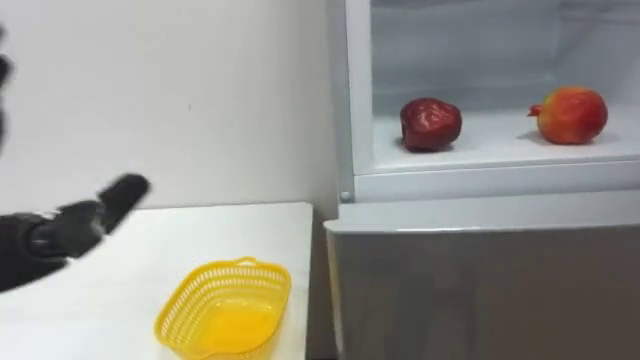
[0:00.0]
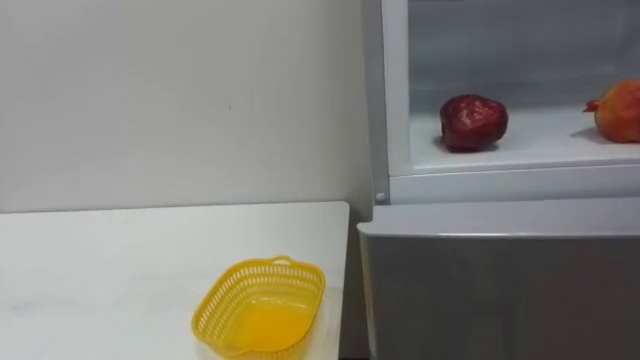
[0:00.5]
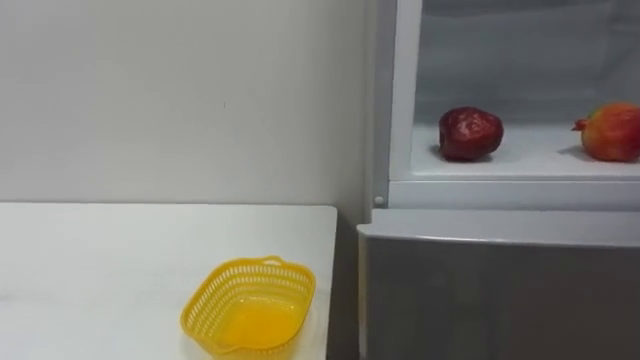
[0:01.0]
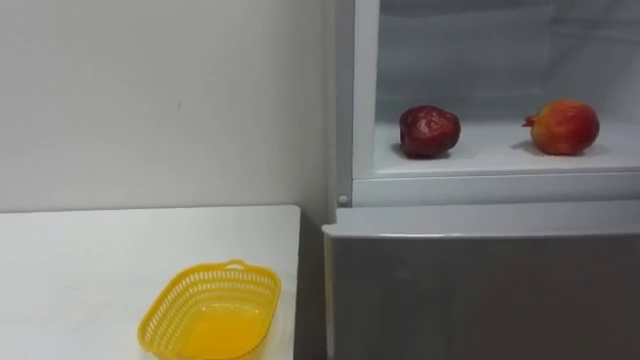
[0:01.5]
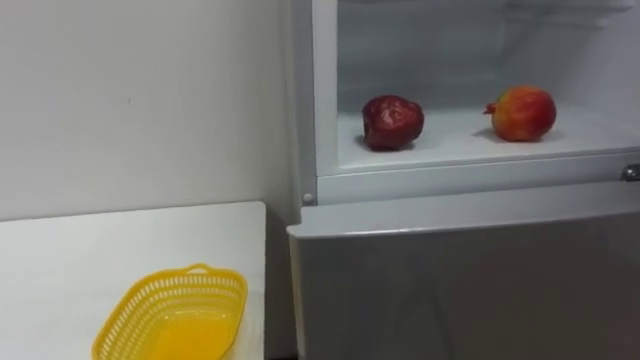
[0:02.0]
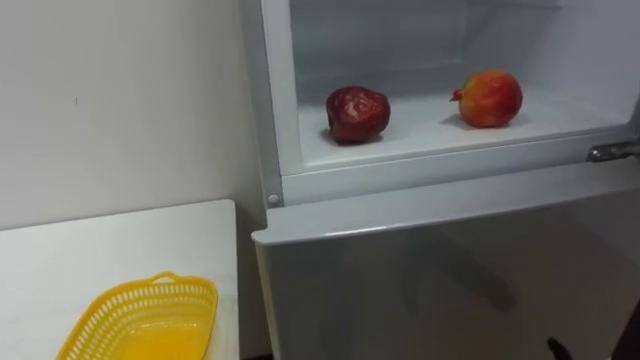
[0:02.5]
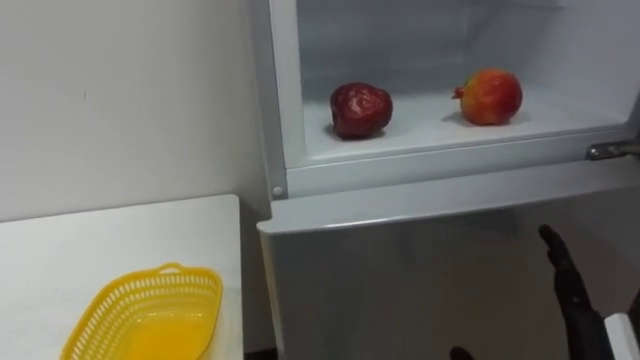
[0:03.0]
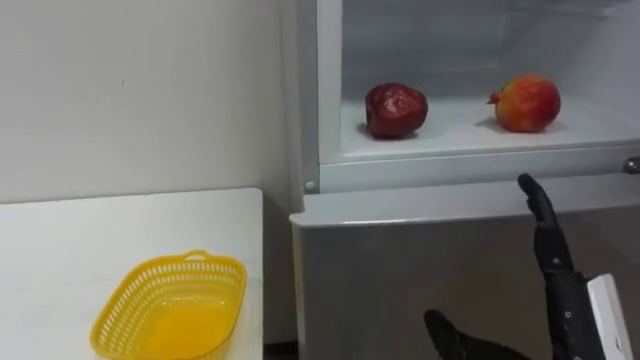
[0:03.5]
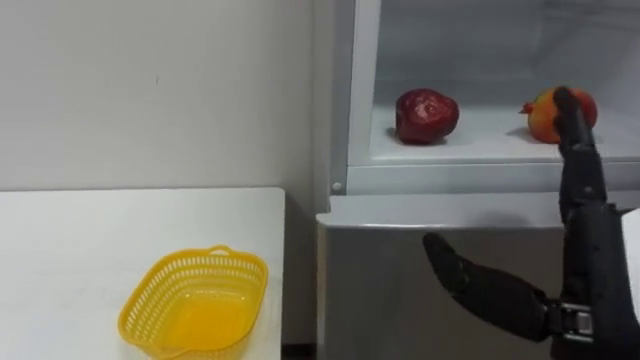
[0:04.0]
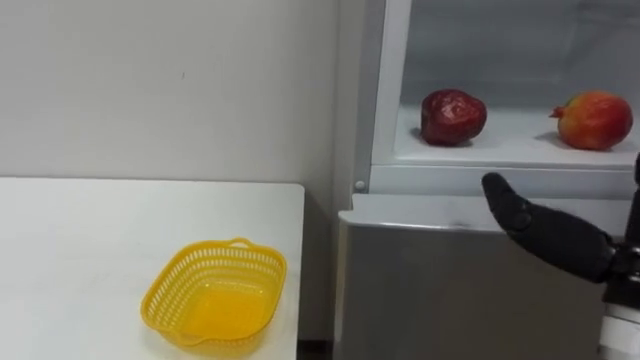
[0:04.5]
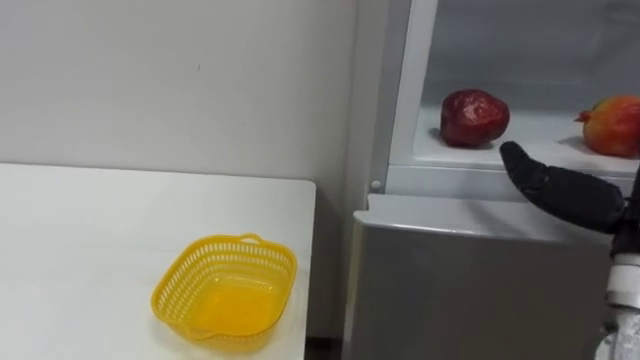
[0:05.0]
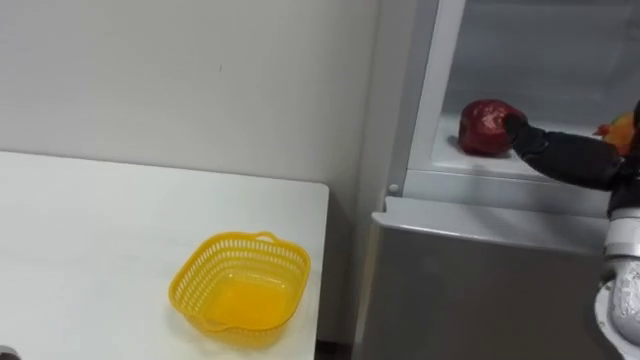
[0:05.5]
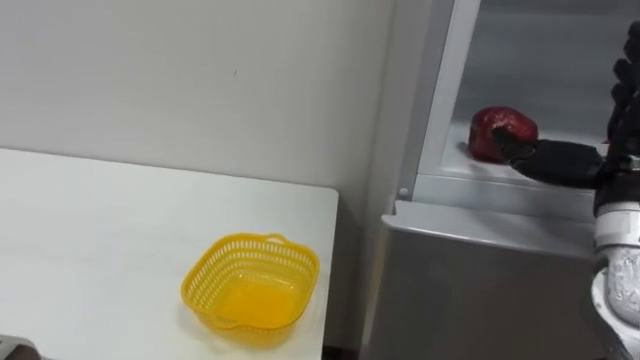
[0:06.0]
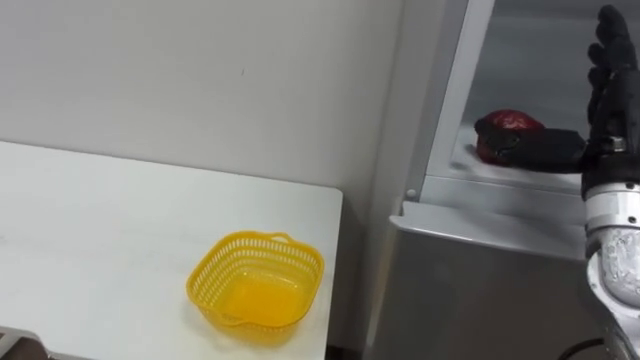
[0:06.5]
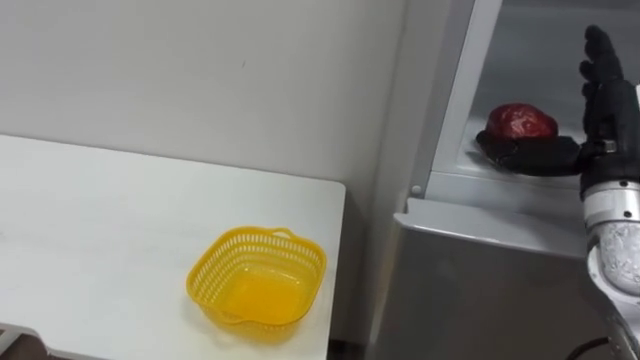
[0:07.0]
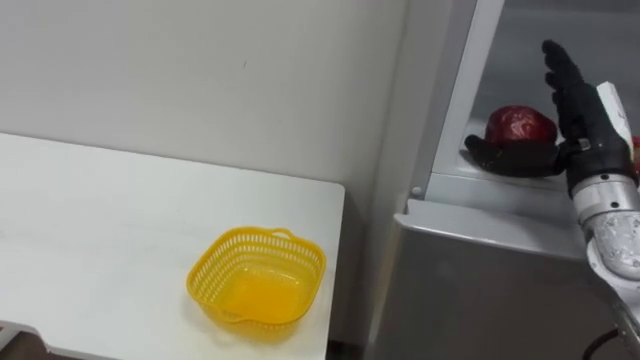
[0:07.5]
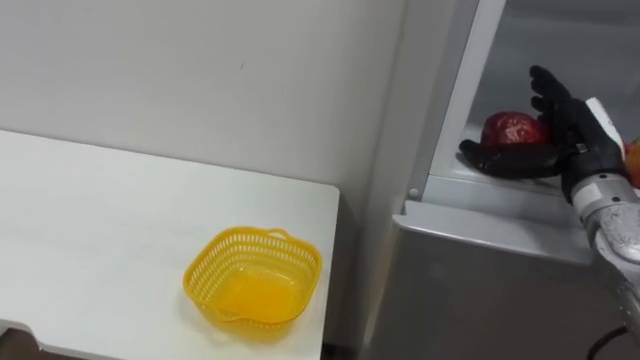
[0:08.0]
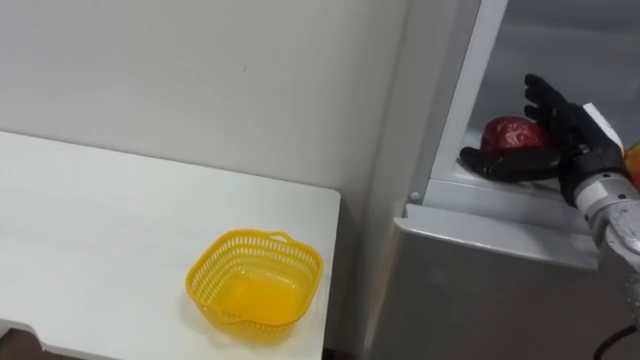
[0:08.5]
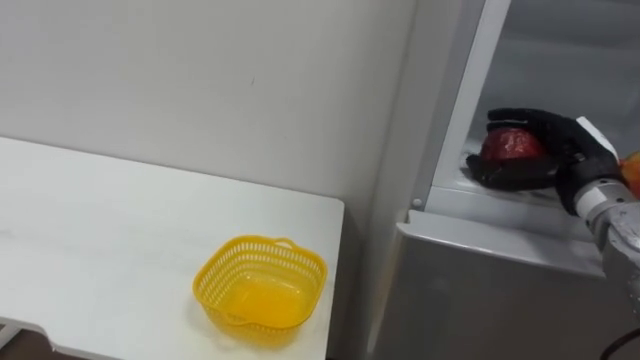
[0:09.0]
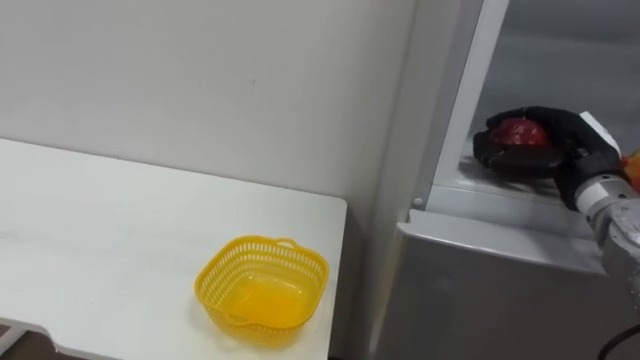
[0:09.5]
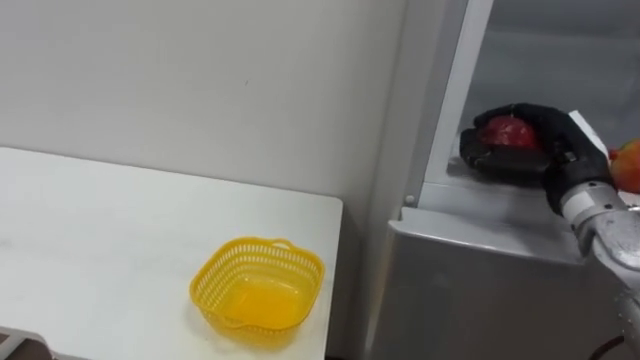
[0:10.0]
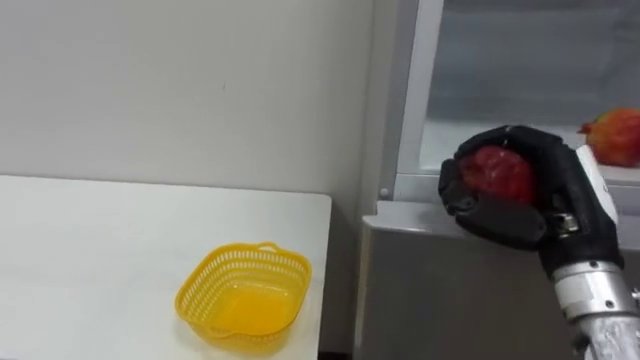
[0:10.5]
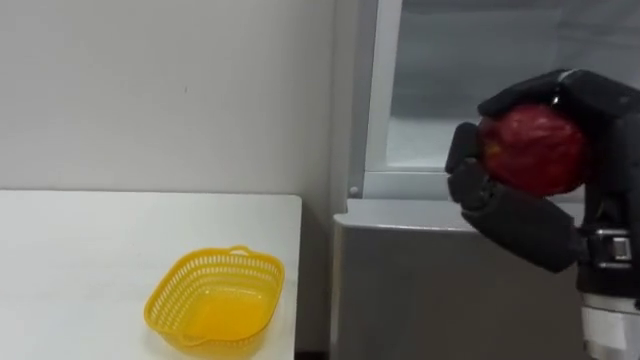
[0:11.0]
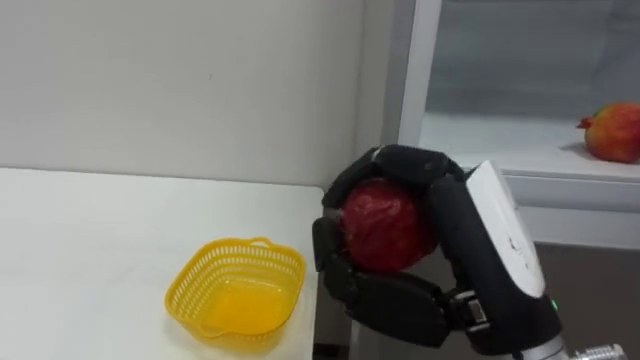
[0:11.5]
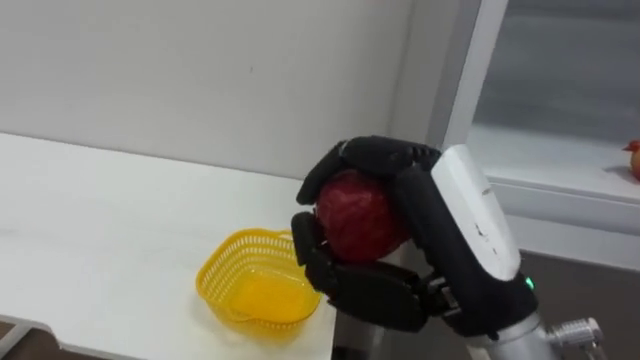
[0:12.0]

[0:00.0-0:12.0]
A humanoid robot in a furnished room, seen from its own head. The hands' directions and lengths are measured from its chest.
Task of the whole recording: Open the refrigerator door, take out the apple and the pomegranate, place them in the fruit basket on the left, and close the refrigerator door.
0:06.0 to 0:08.0: The right hand is displaced forward by some 5 cm.
0:08.0 to 0:10.0: The right hand closes its fingers.
0:10.0 to 0:12.0: The right hand goes some 25 cm backward and to the left.

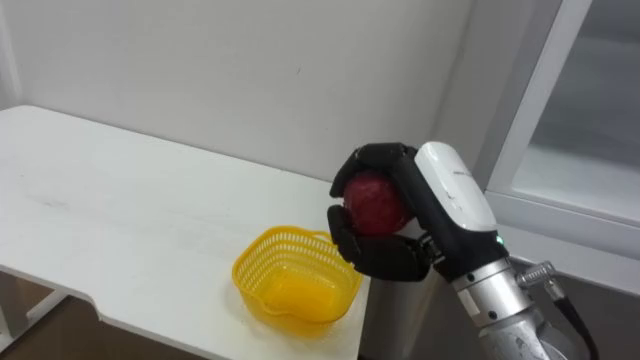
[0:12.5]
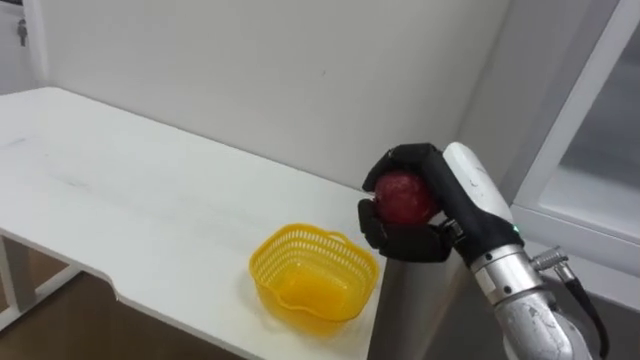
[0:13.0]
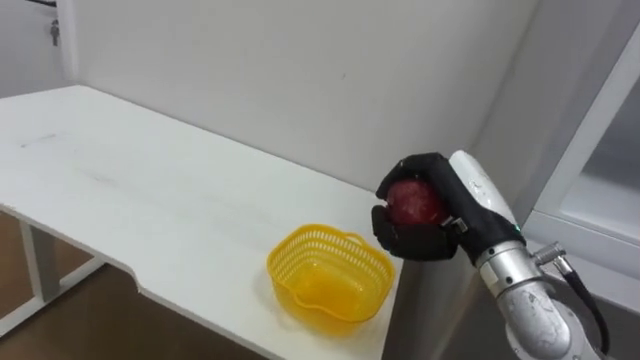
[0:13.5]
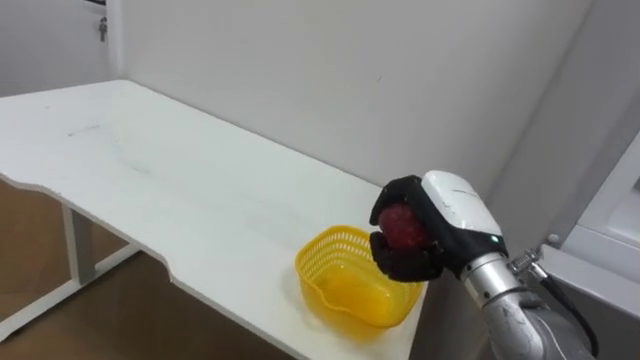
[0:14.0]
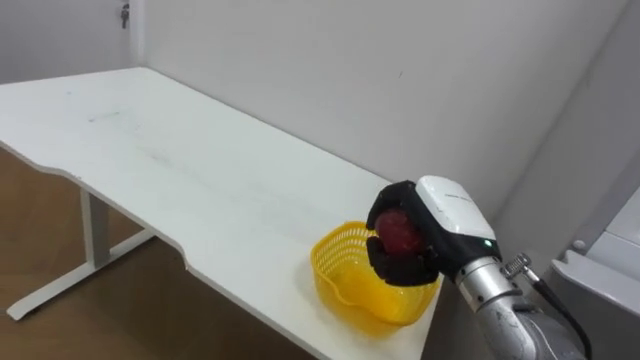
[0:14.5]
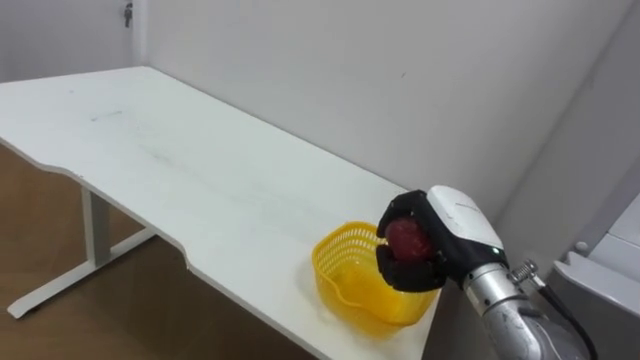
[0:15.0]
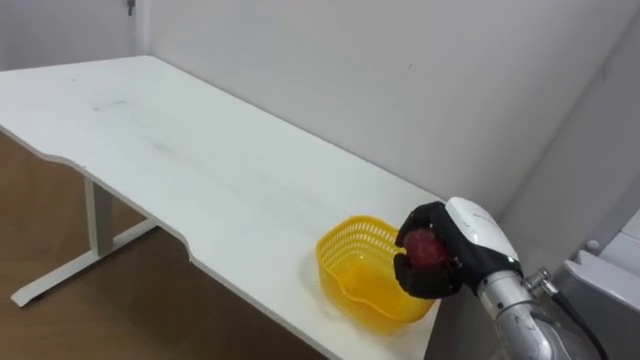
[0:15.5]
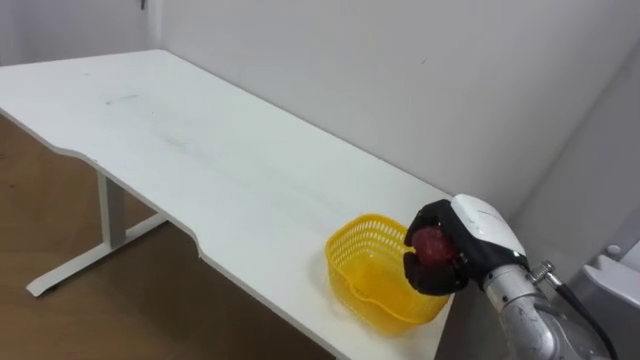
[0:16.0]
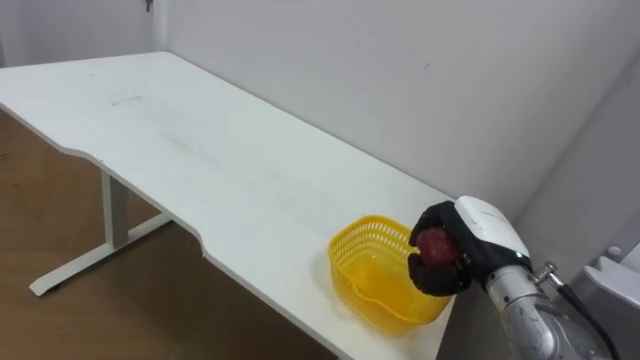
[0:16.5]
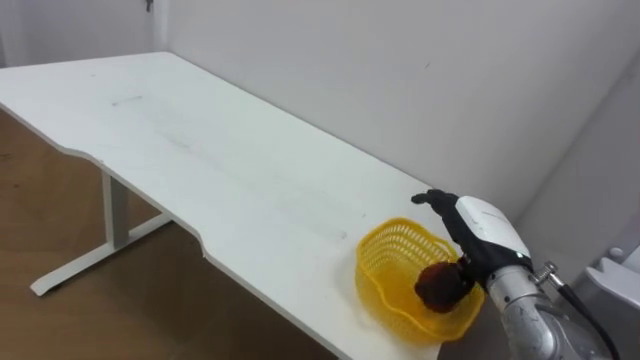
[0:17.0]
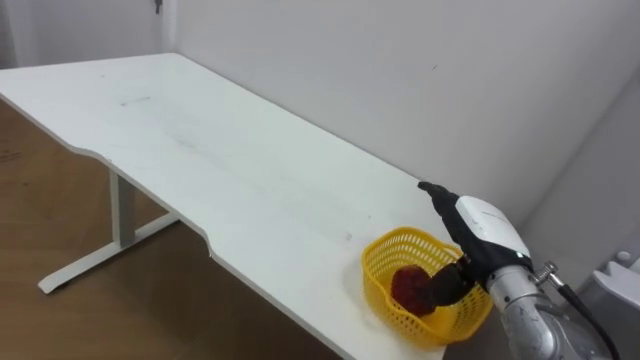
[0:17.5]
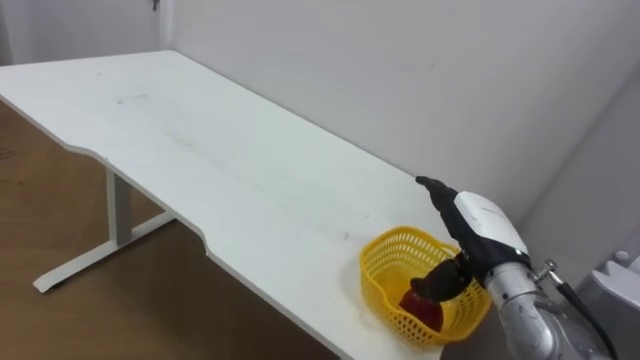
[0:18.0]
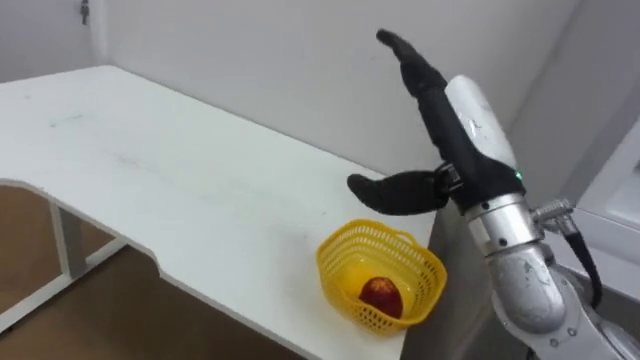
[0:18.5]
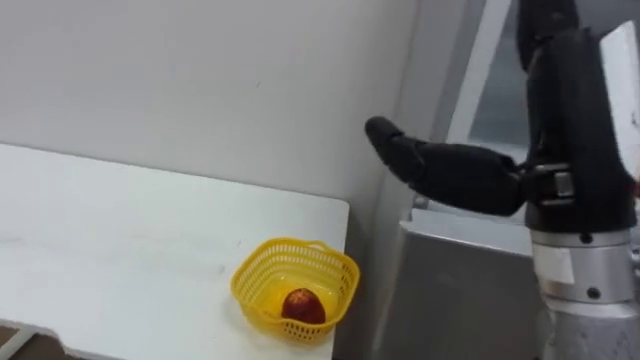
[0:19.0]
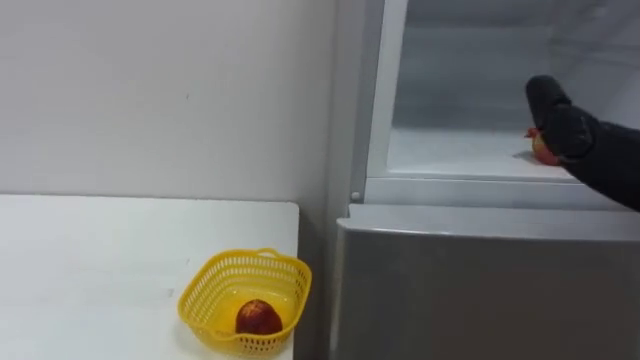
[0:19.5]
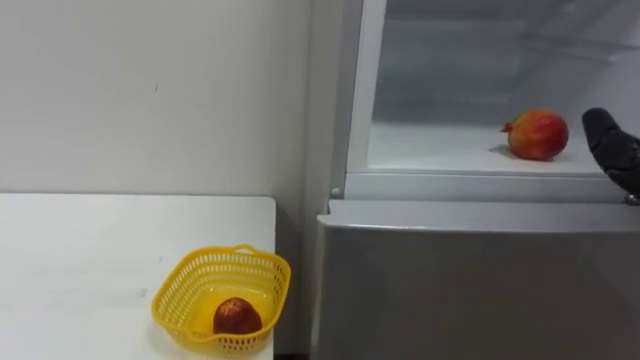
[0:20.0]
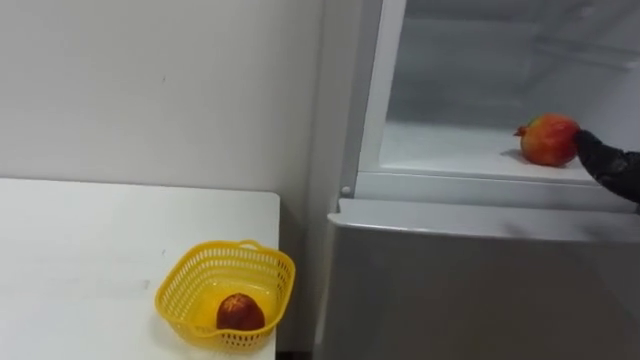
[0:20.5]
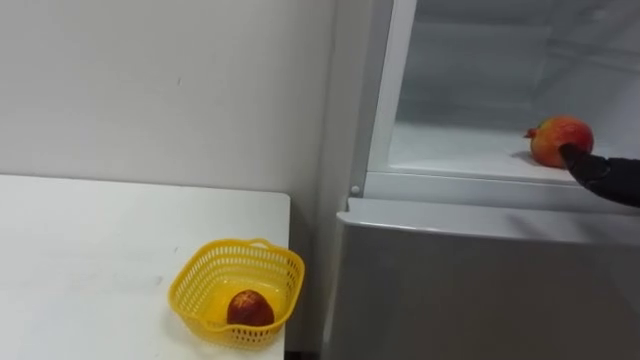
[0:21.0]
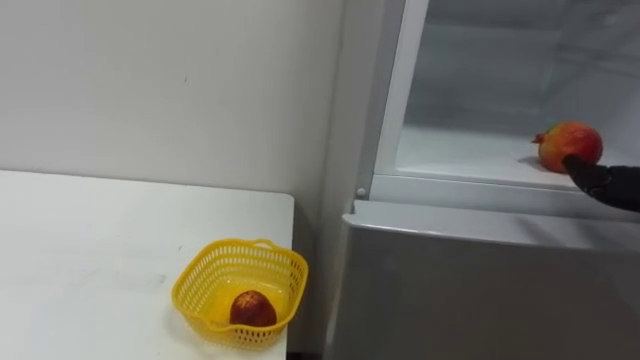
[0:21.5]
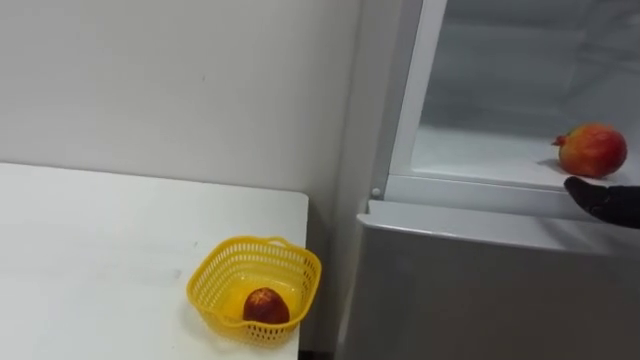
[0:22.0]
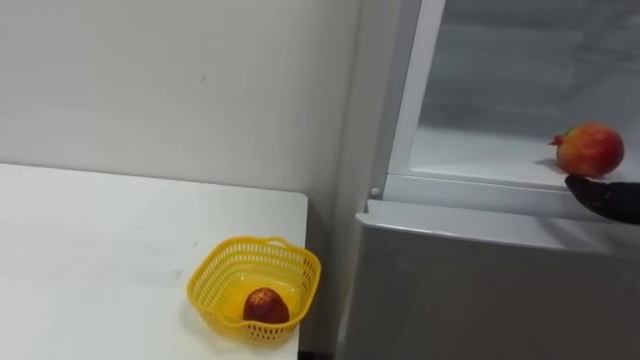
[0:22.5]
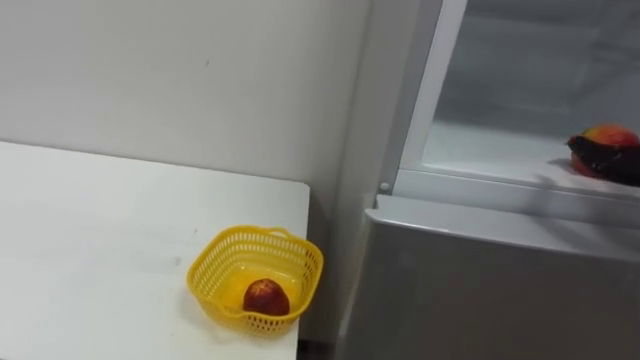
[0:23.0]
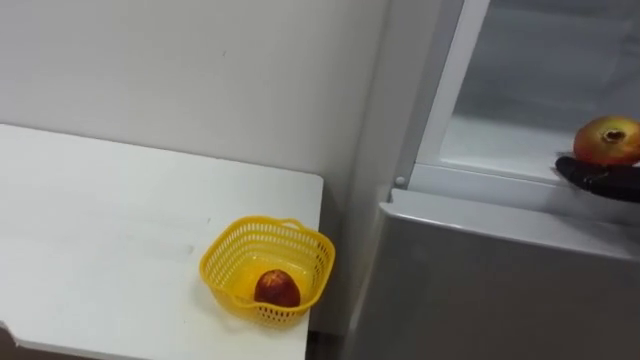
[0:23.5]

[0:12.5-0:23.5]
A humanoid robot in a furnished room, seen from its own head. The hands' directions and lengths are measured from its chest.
Task of the whole recording: Open the refrigerator door, take out the apple and the pomegranate, place them in the fruit basket on the left, and close the refrigerator door.
0:12.5 to 0:14.5: The right hand is displaced downward and forward by approximately 10 cm.
0:14.5 to 0:16.0: The right hand shifts by roughly 5 cm.
0:16.0 to 0:18.0: The right hand opens its fingers.
